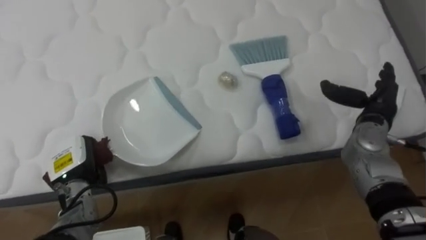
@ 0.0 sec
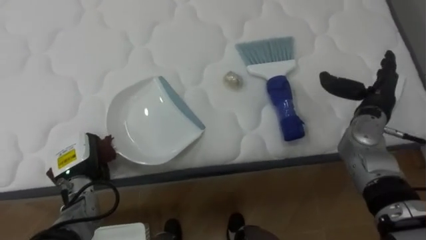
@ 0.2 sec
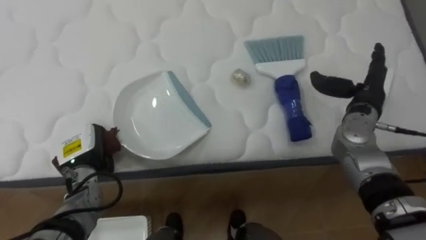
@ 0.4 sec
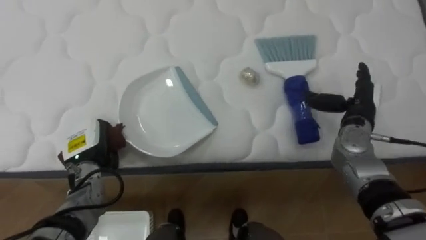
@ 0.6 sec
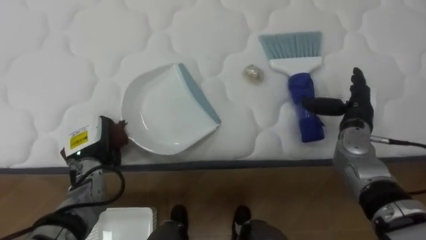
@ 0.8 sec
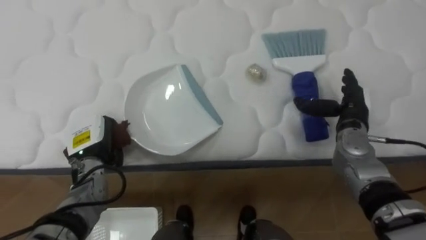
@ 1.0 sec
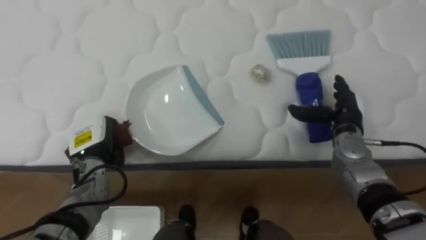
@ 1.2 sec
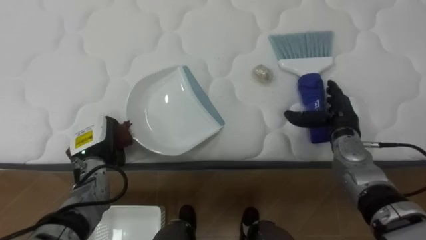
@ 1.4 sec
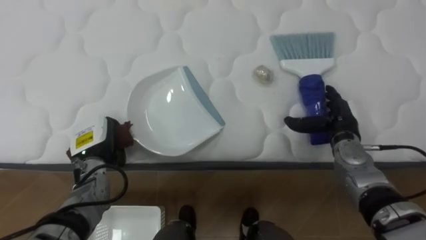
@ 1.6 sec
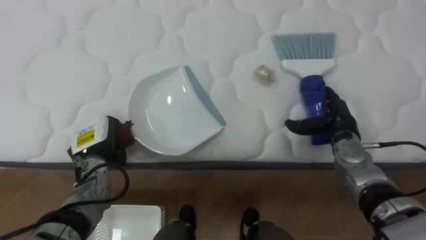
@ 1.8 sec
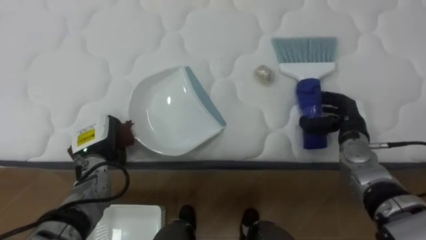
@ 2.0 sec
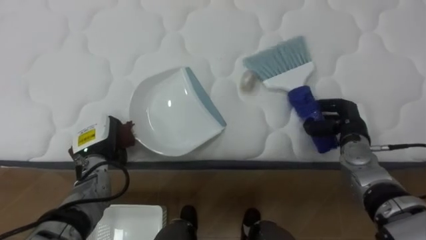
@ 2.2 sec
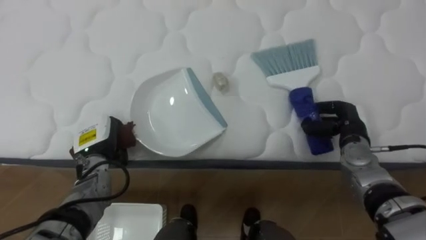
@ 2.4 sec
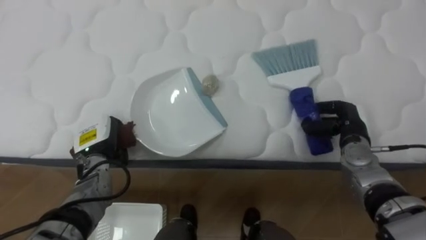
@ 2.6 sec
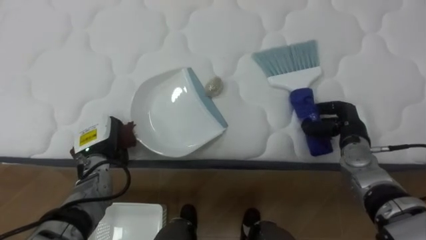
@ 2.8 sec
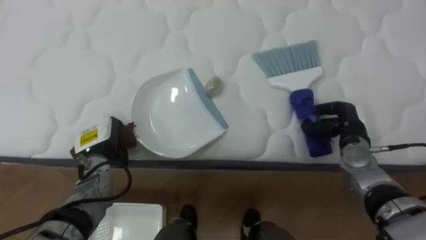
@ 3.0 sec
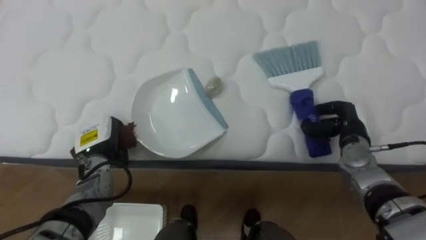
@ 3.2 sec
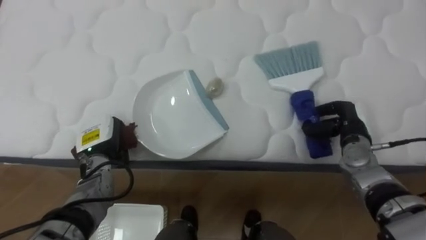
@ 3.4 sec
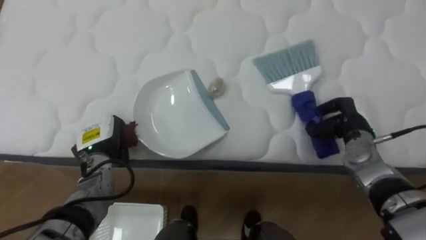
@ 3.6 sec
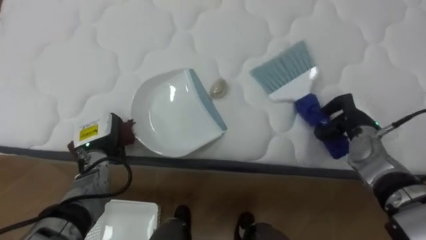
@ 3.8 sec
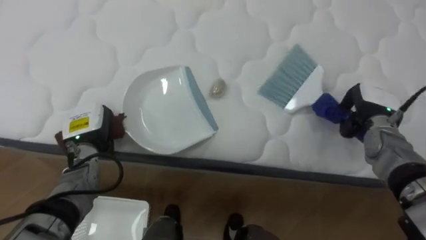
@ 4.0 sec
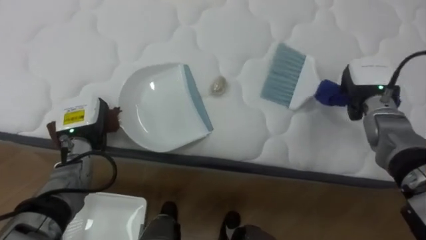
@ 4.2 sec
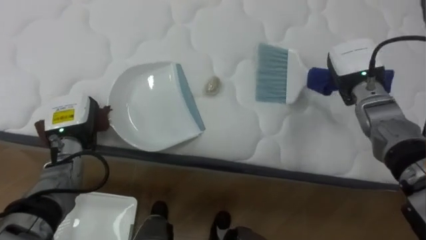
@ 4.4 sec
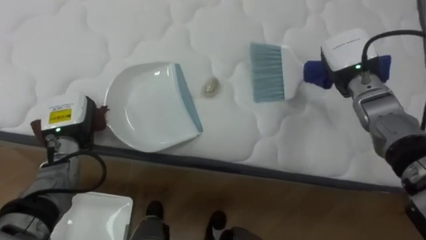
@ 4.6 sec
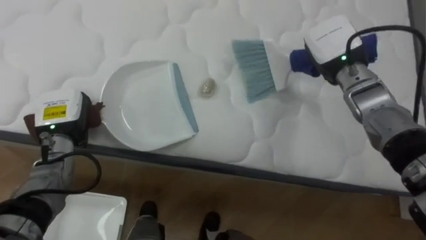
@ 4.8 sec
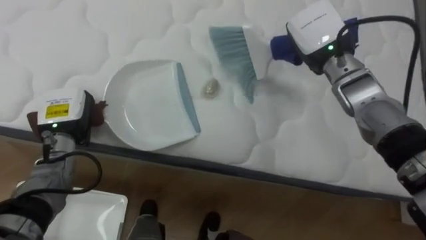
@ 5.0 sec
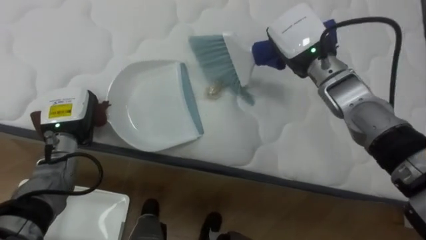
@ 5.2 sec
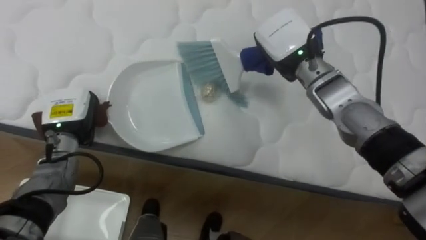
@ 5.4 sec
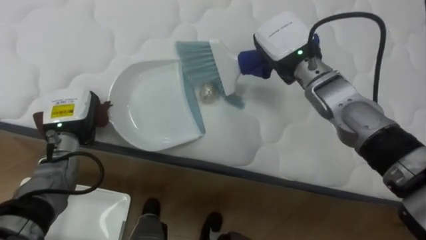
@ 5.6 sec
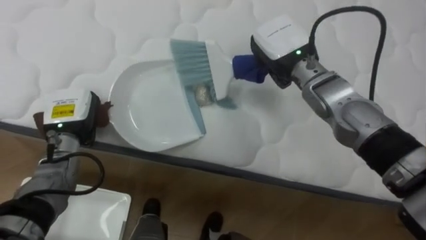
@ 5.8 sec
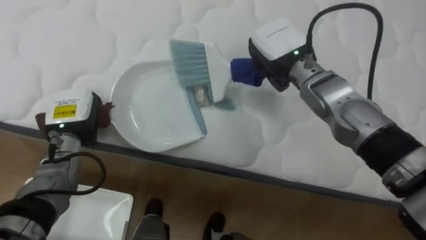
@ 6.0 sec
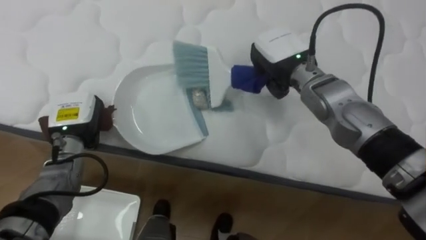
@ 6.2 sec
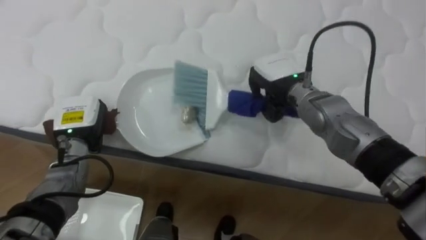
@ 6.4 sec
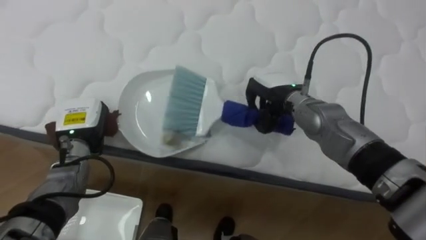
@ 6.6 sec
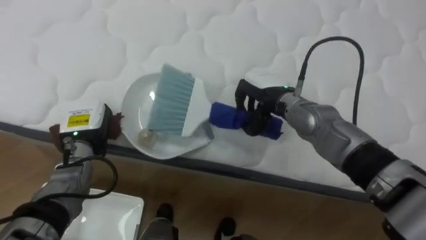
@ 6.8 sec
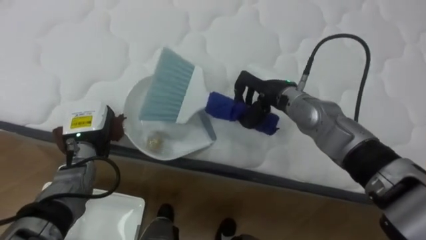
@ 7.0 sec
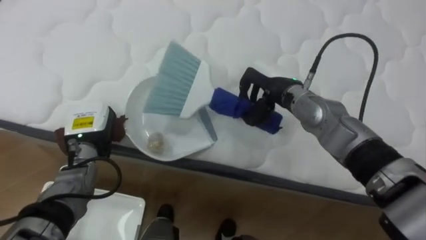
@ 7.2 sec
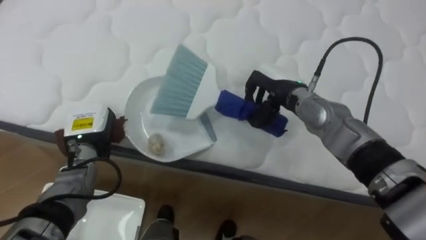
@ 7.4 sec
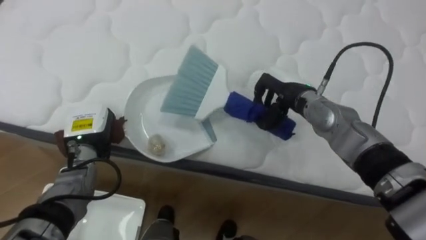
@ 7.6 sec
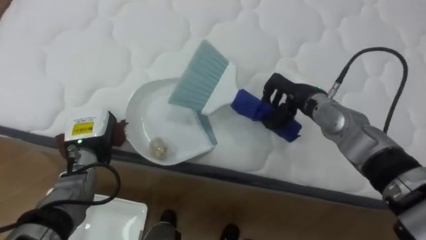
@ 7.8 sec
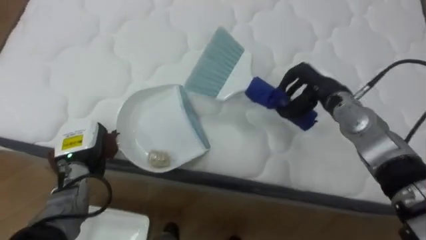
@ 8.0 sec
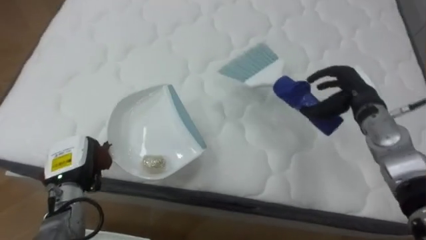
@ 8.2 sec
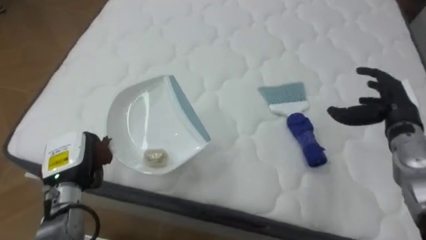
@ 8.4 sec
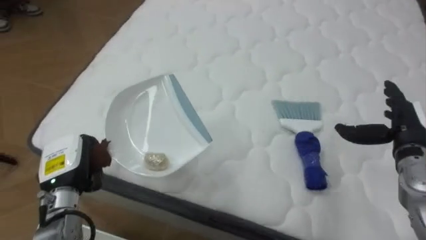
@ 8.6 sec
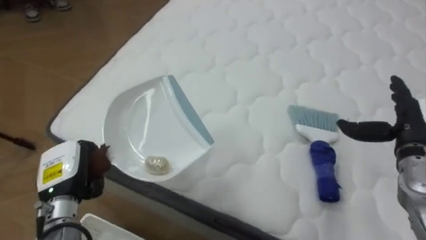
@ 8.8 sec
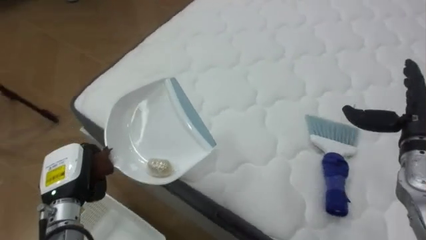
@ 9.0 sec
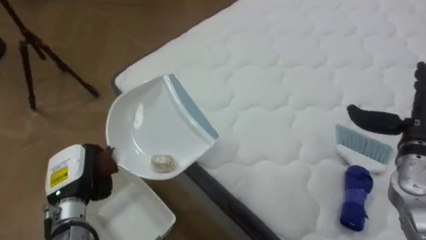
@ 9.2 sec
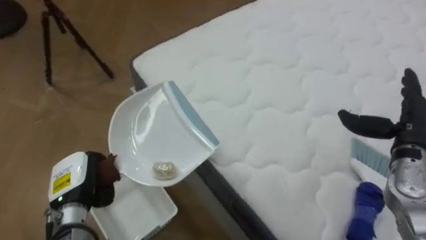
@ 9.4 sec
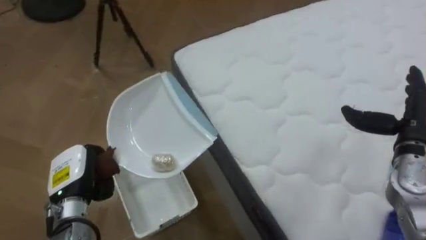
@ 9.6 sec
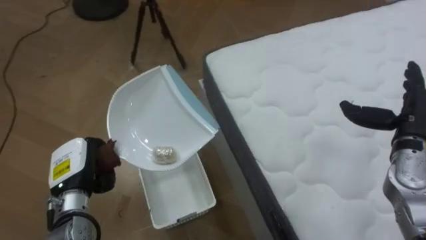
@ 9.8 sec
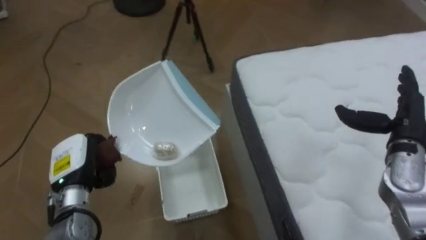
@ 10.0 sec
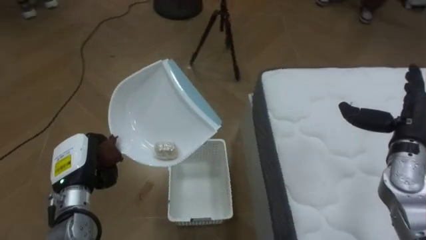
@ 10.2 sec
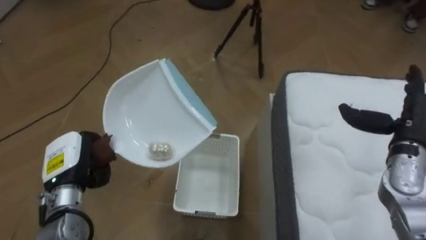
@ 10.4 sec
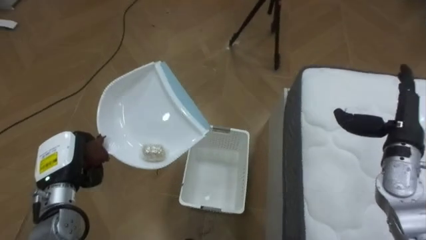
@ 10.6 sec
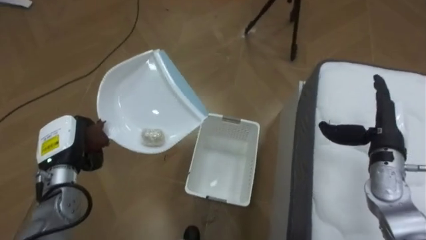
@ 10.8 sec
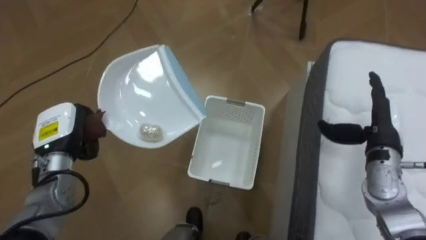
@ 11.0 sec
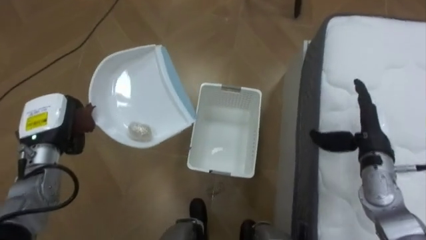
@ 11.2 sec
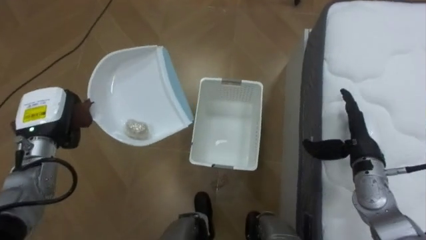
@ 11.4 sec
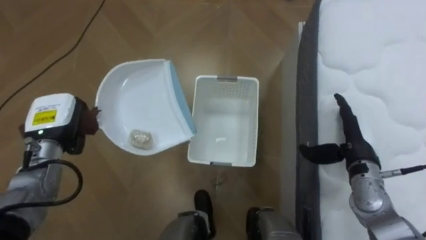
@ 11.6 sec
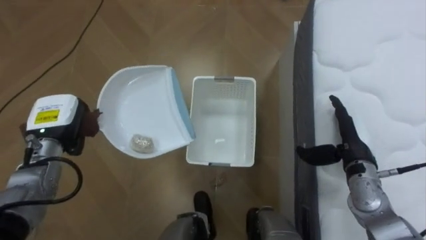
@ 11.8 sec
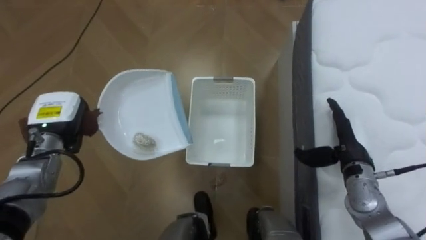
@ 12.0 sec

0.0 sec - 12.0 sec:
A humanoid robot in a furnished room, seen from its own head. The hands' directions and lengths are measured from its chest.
Task of the whole recording: Pick up the brush on your right and the dustpan on your left. Use the brush to sweep the crumpled paper on the bed into the dustpan, then turn left and empty it into the basket.
0.0 sec - 1.6 sec: The right hand shifts some 5 cm downward and to the left; the left hand ends up about 5 cm from where it was.
1.6 sec - 3.0 sec: The right hand closes.
3.0 sec - 4.4 sec: The left hand shifts by roughly 5 cm; the right hand heads upward and forward, covering roughly 15 cm.
4.4 sec - 6.0 sec: The right hand shifts some 15 cm to the left.
6.0 sec - 7.6 sec: The right hand moves downward, roughly 10 cm.
7.6 sec - 9.0 sec: The robot turns to its left by about 25 degrees. The left hand moves backward, roughly 10 cm, while the right hand moves to the right and backward, roughly 25 cm, and opens up.
9.0 sec - 10.4 sec: The robot faces roughly 65 degrees further to its left.
10.4 sec - 12.0 sec: The left hand goes some 10 cm forward. Meanwhile the right hand shifts some 10 cm to the left and downward.

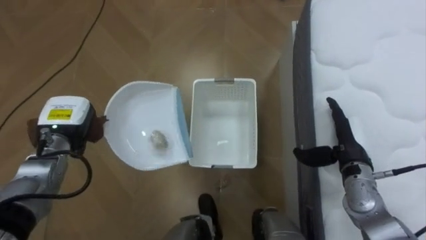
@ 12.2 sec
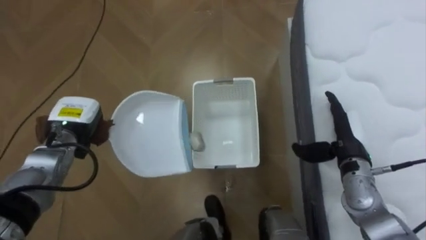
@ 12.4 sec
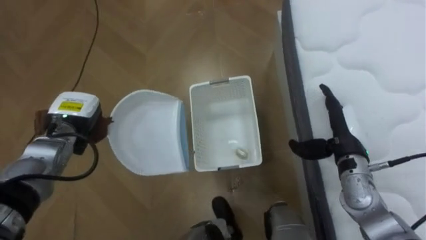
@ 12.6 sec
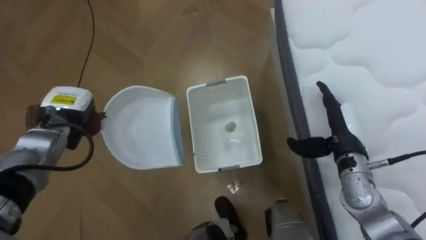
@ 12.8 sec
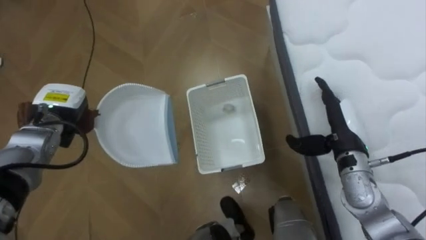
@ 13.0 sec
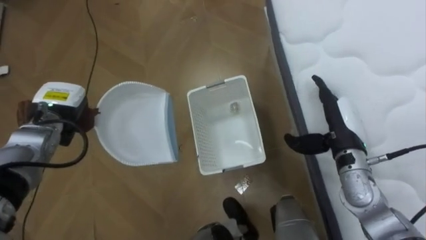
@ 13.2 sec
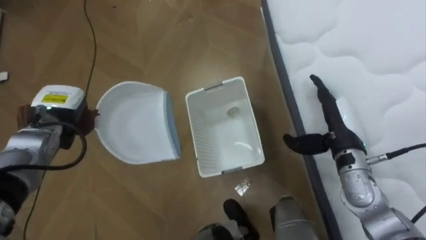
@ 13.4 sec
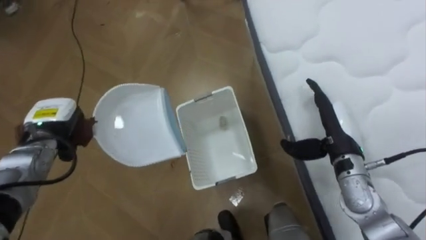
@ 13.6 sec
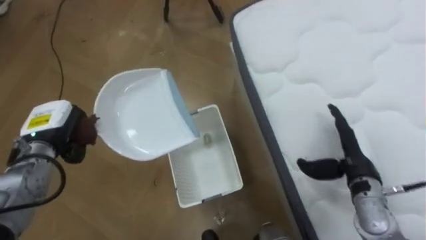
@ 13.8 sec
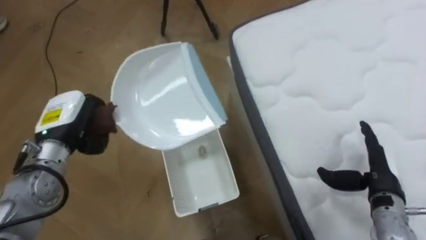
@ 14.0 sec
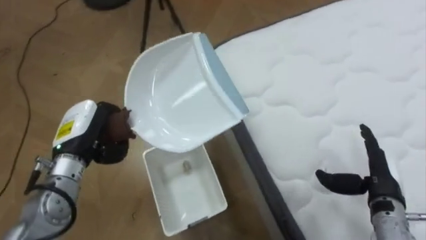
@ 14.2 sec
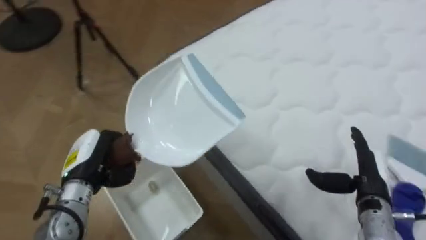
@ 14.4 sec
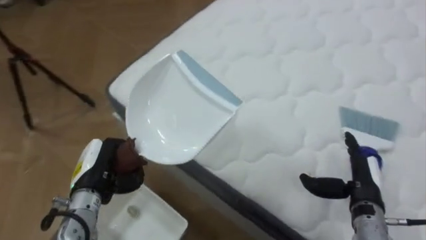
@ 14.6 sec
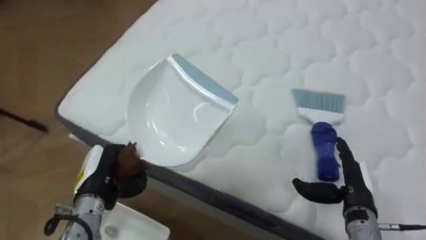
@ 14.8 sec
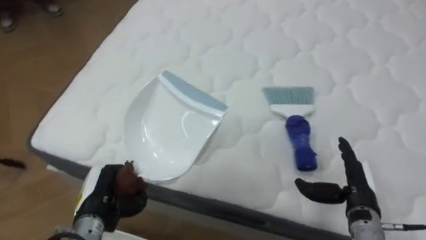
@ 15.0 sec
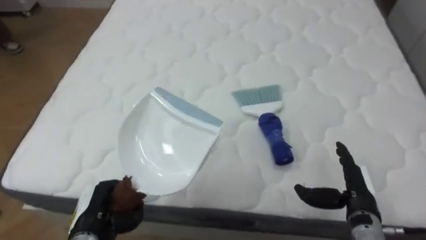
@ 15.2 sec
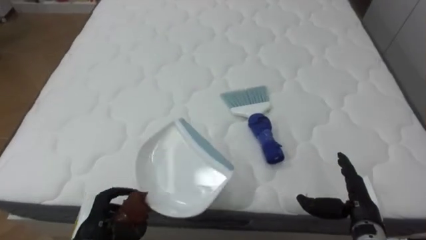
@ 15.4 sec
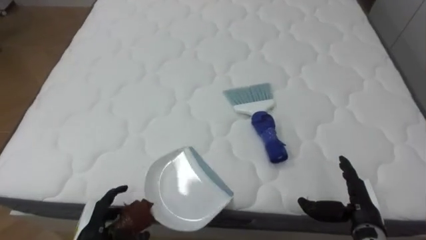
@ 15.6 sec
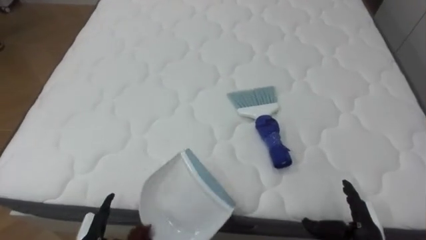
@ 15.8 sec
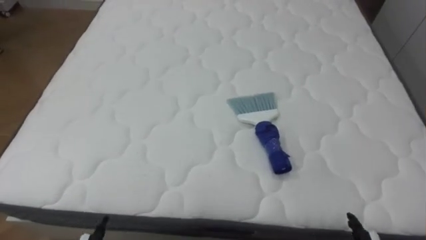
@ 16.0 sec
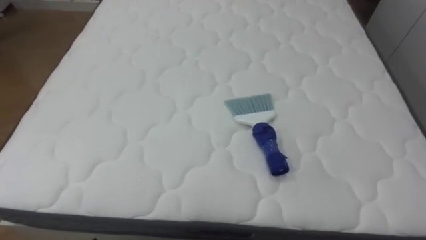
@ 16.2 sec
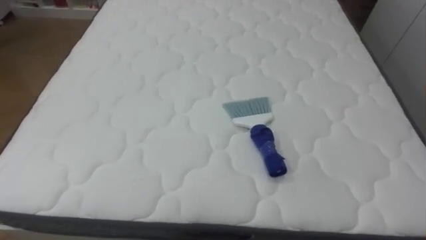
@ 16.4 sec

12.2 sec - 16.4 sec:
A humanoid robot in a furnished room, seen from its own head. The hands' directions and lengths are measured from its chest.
Task of the whole recording: Pick up the brush on your right and the dustpan on your left. Use the brush to sweep the crumpled paper on the bed into the dustpan, then turn left and empty it into the basket.
13.6 sec - 15.0 sec: The robot rotates some 75 degrees to its right. The right hand heads backward and downward, covering approximately 10 cm; the left hand moves backward, to the right and downward, some 15 cm.
15.0 sec - 16.4 sec: The robot turns to its right by about 15 degrees.
